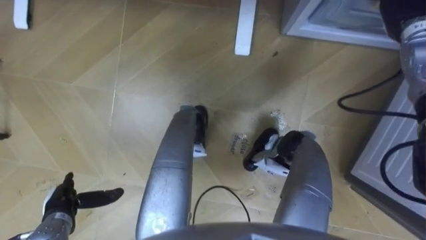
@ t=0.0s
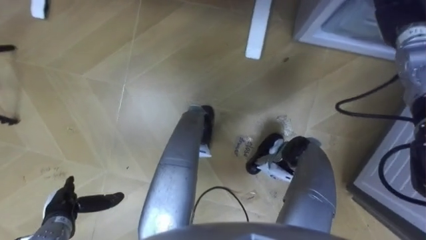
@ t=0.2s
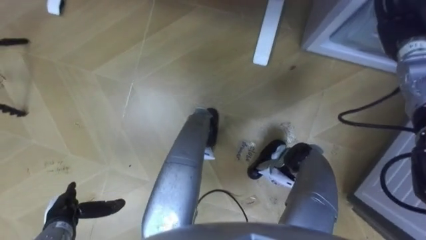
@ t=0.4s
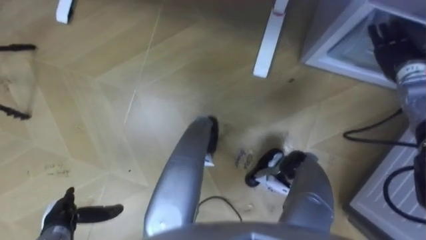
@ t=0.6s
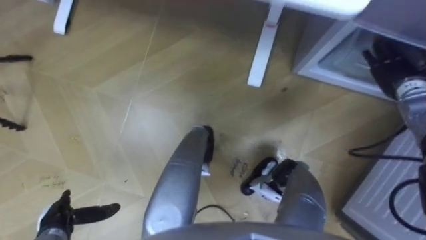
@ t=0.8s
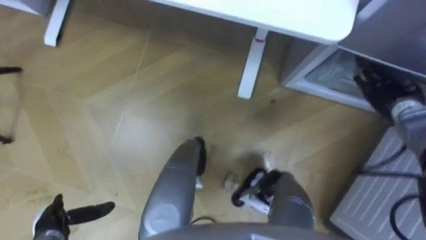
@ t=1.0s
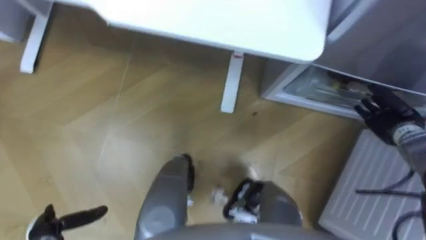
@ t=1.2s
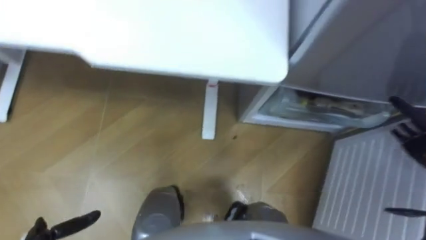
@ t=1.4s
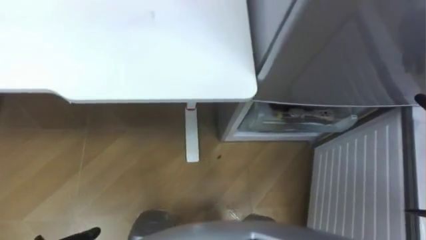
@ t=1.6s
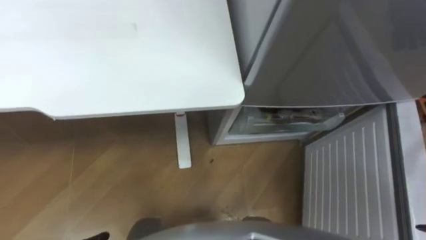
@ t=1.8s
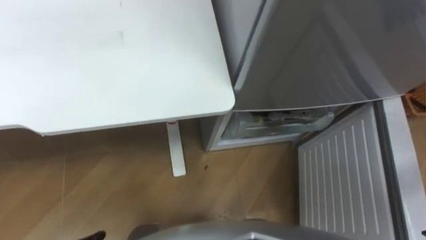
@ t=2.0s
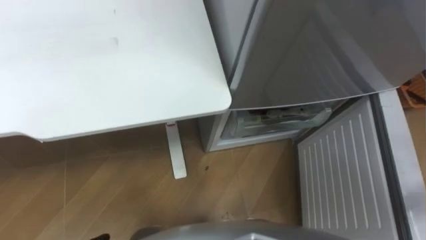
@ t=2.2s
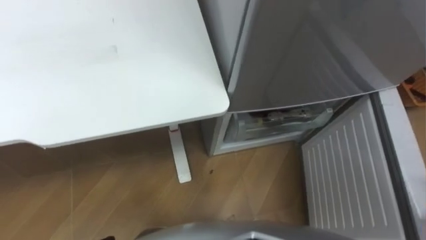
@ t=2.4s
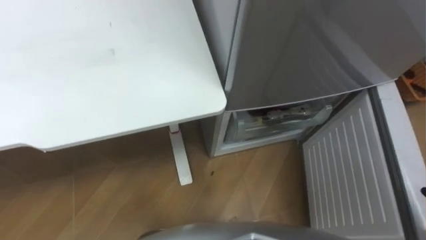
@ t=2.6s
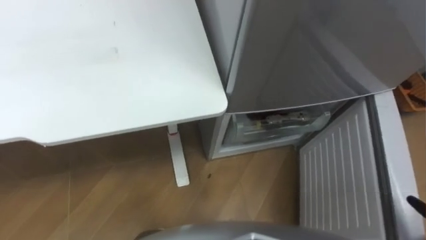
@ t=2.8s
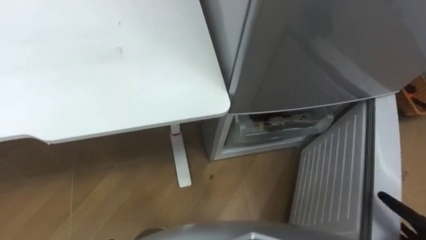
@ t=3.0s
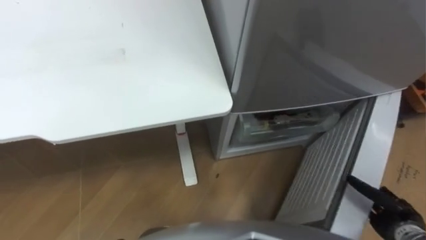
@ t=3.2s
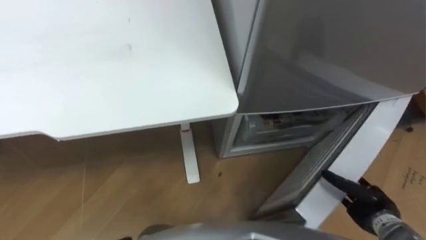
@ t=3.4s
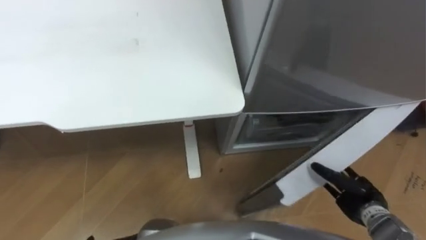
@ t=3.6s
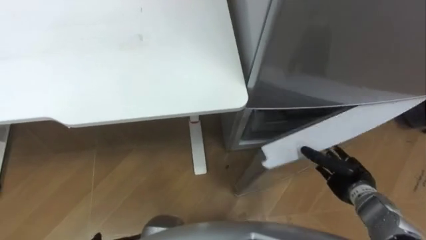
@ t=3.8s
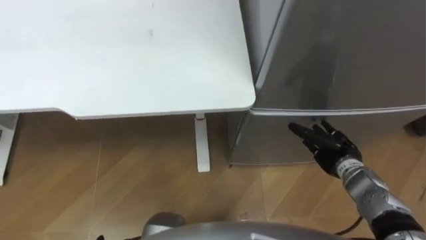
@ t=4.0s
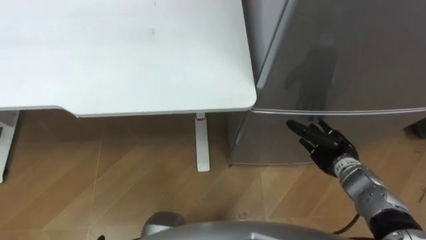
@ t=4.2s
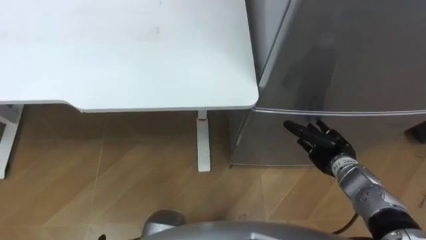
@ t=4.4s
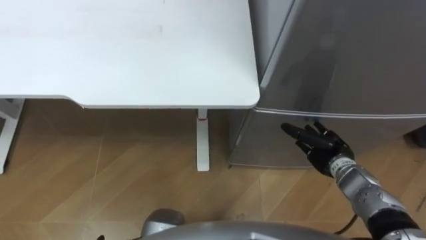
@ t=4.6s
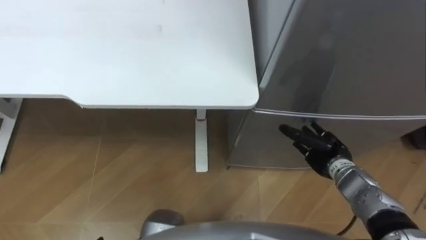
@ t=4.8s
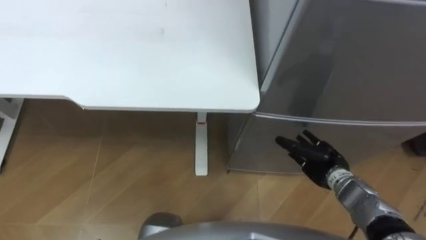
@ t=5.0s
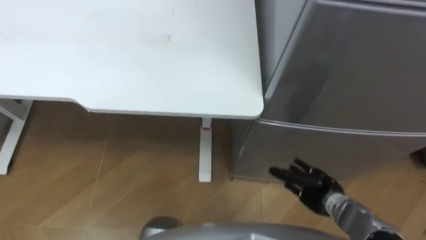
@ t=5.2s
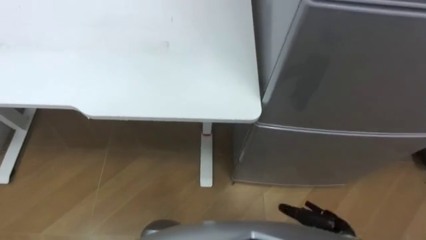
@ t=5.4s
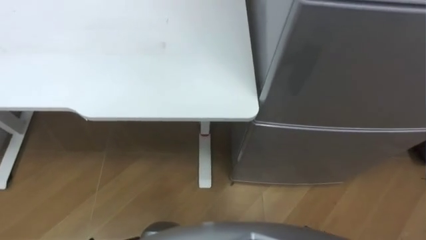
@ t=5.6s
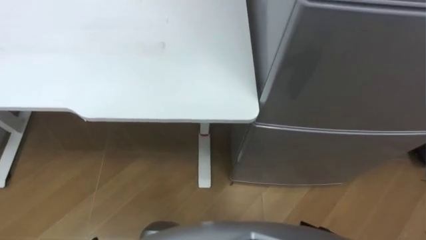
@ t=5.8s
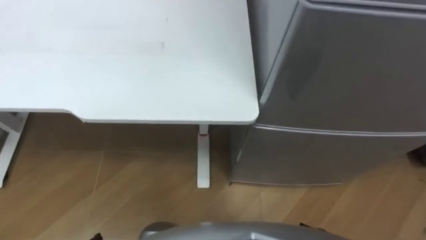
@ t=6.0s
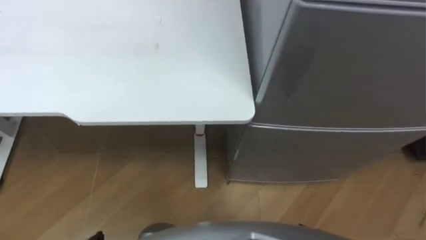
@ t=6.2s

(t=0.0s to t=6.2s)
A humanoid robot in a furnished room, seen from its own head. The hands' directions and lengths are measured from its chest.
Task of the whole recording: Place the drink on the table on the bottom shelf of the refrigerator, then close the drawer and the refrigerator door.
t=3.2s - t=4.6s: The right hand is displaced forward and to the left by approximately 20 cm.

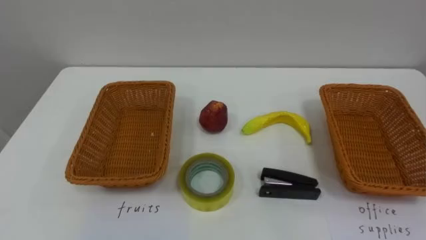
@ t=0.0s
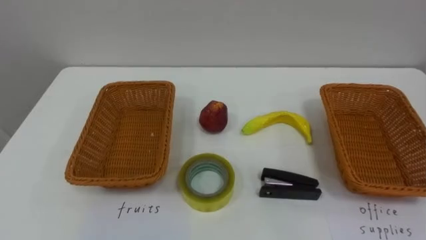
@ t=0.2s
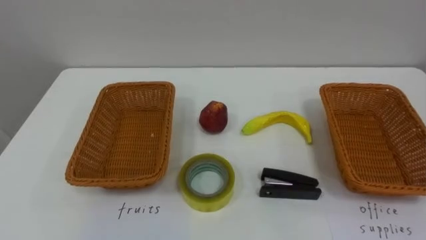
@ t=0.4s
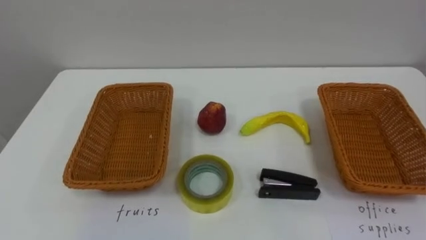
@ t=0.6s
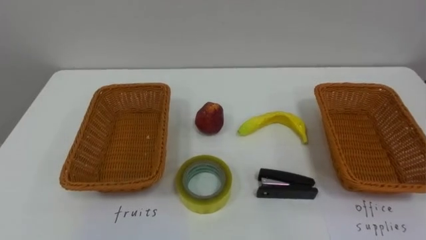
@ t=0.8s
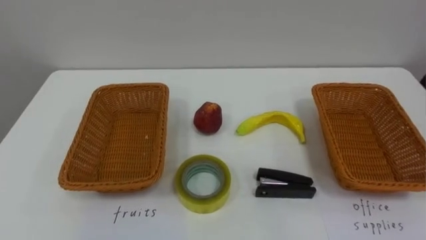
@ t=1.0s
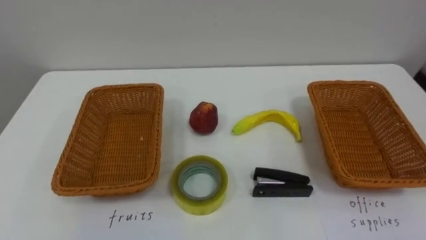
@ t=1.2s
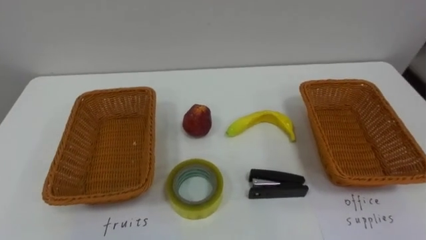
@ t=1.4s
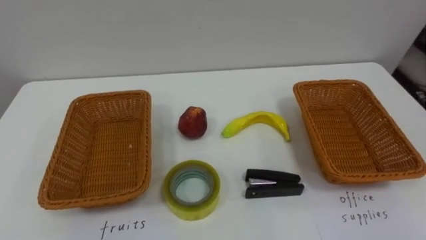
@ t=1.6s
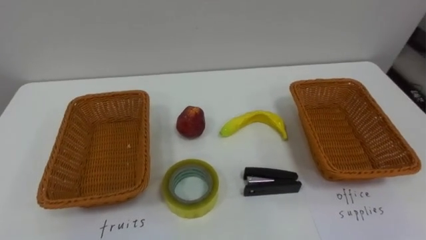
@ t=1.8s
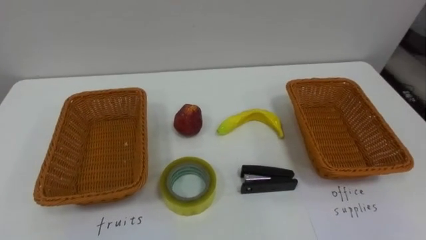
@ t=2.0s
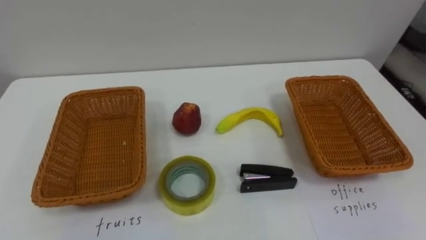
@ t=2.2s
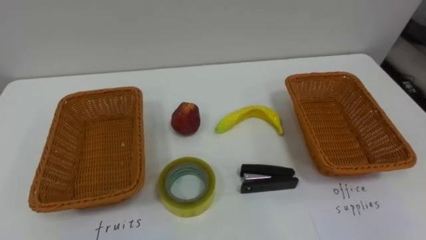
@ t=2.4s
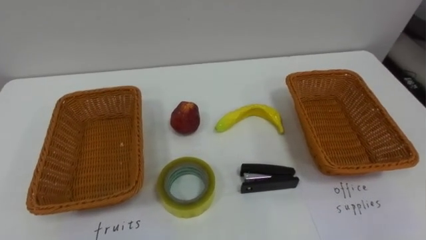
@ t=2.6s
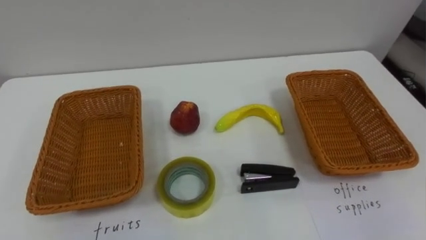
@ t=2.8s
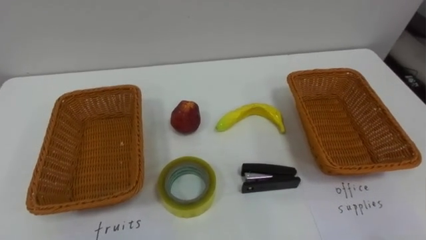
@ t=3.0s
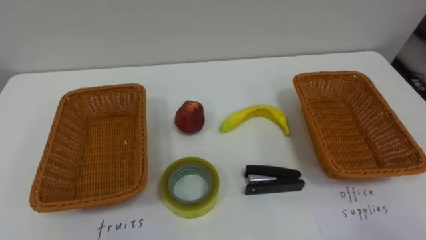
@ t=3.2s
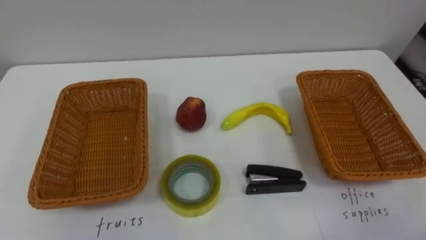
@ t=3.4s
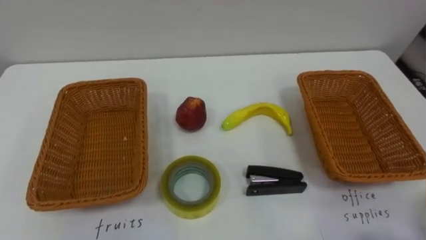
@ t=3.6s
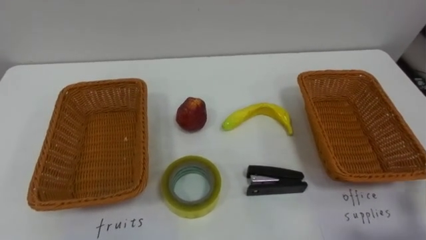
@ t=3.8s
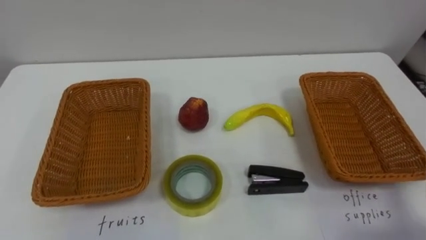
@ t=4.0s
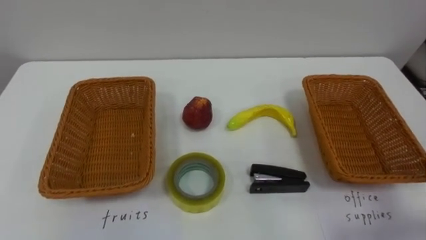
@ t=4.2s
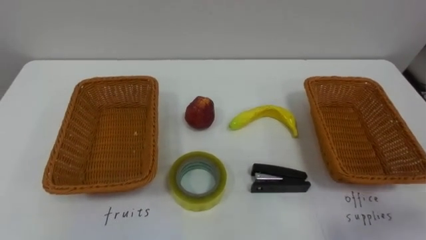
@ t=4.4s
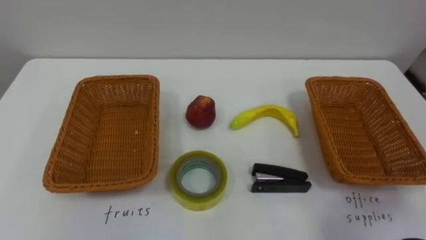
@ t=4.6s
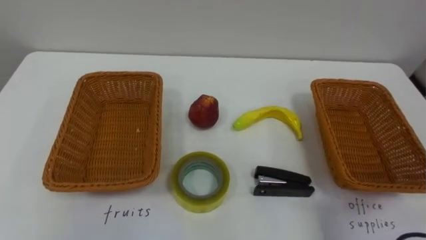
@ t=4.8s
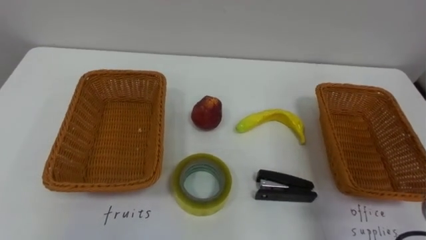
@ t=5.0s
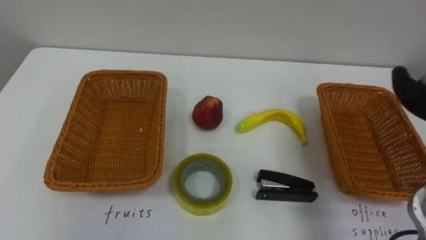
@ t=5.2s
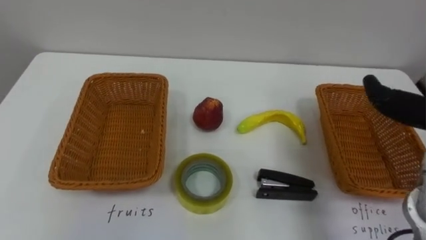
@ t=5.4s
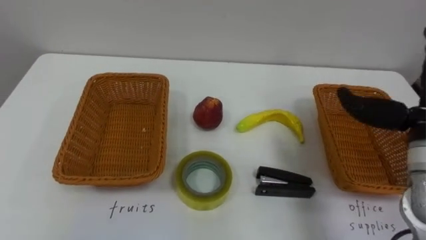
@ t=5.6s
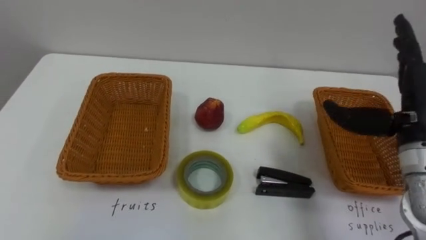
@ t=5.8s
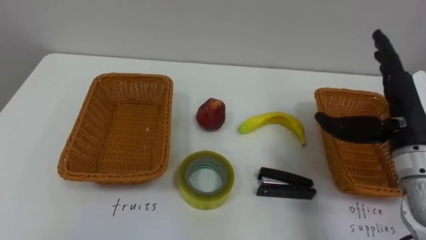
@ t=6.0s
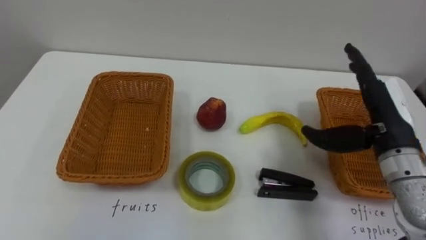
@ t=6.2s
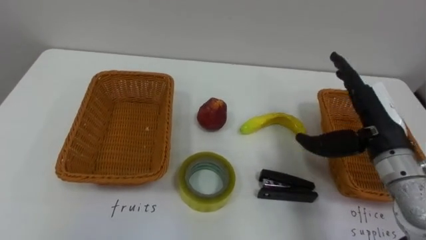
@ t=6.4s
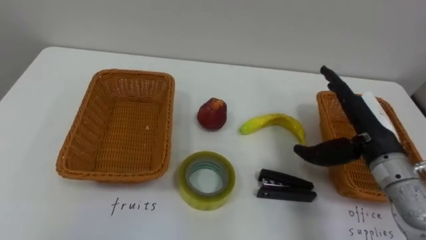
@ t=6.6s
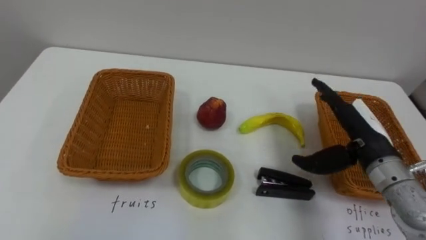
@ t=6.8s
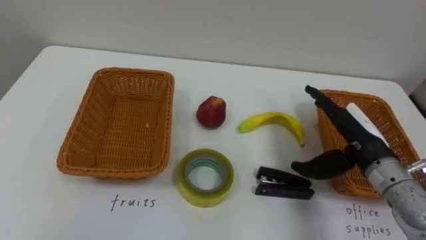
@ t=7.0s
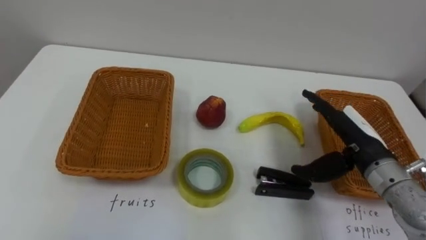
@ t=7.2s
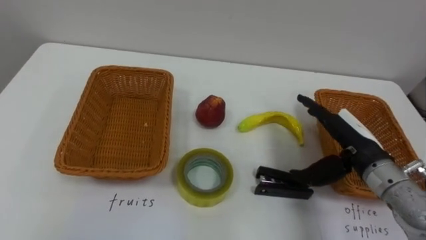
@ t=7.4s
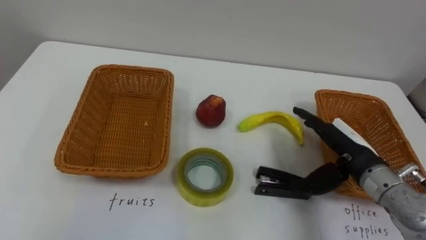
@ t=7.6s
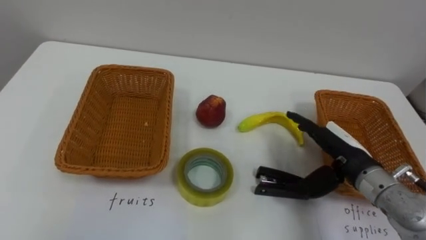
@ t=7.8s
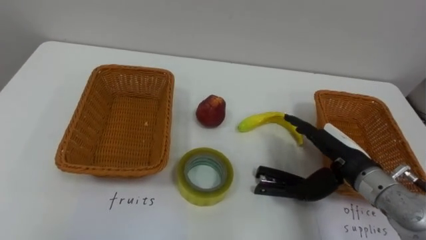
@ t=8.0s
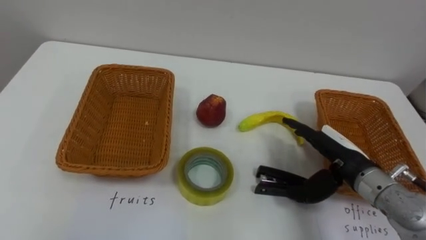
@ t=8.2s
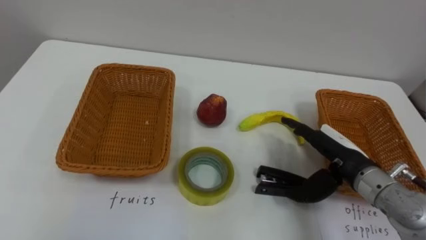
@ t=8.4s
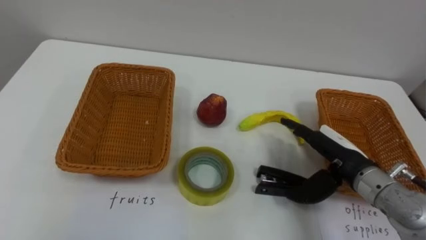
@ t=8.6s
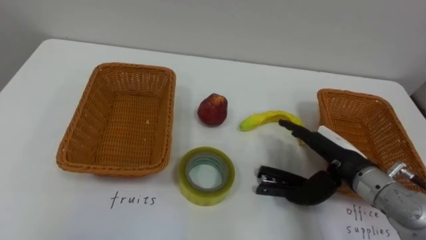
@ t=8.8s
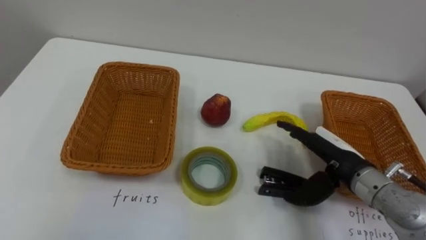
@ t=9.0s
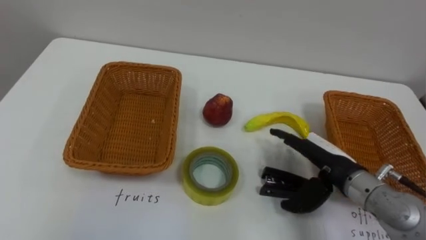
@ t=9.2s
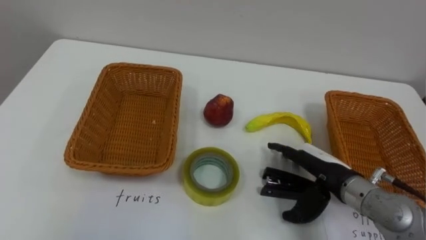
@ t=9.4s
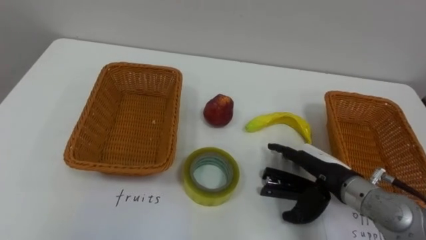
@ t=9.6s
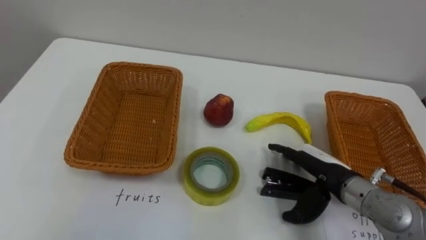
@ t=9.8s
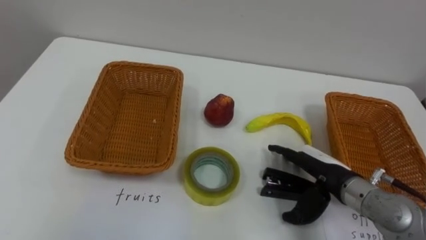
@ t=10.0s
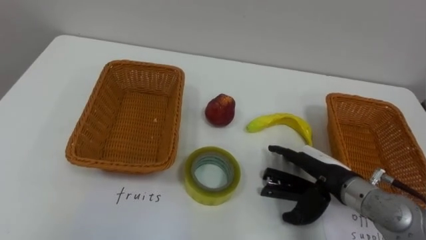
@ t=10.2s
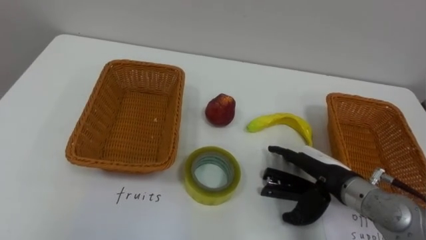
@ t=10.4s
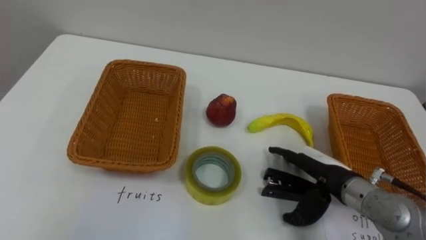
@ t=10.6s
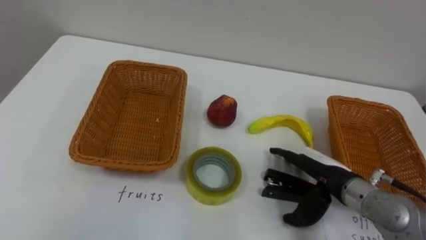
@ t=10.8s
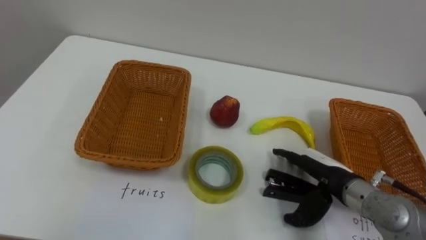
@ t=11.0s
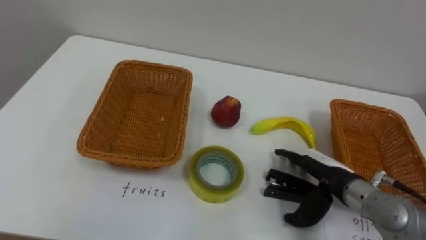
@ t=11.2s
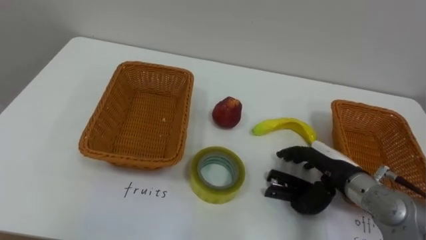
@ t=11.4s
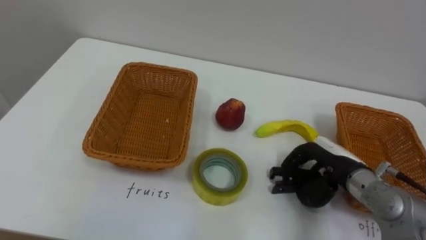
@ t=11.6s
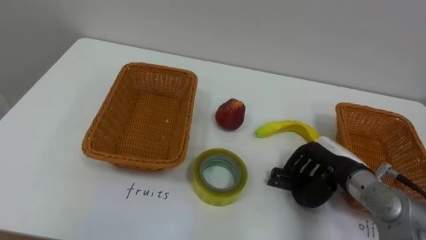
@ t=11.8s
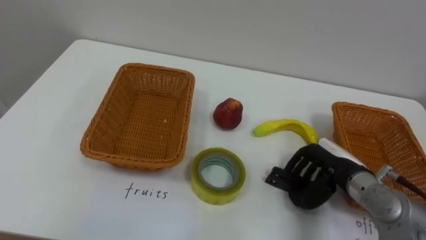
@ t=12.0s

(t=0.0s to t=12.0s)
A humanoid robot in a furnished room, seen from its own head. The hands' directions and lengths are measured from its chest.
Task of the whole recording: Separate the items on the table and place them into the two baskets.
t=6.0s - t=7.6s: The right hand travels downward by about 10 cm.
t=10.4s - t=12.0s: The right hand closes up.
